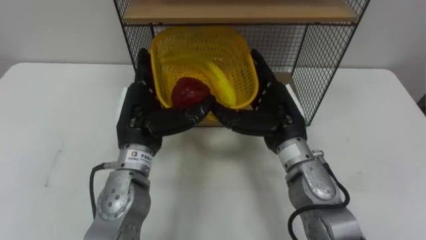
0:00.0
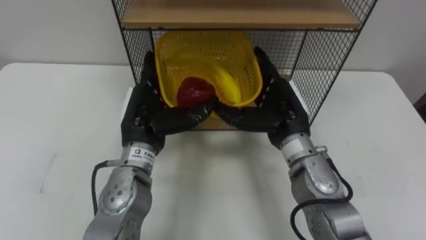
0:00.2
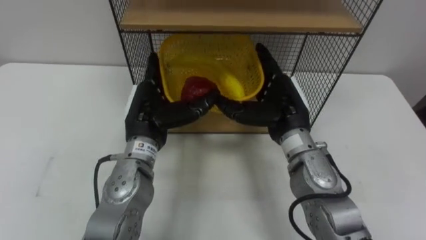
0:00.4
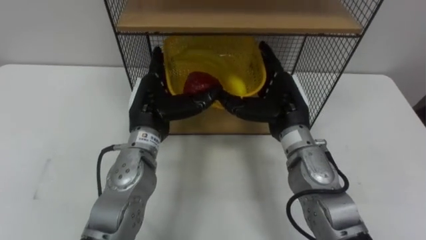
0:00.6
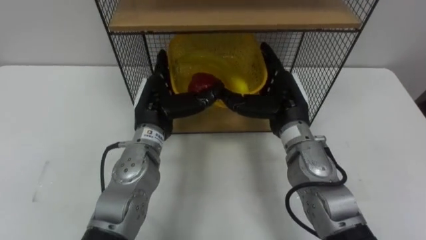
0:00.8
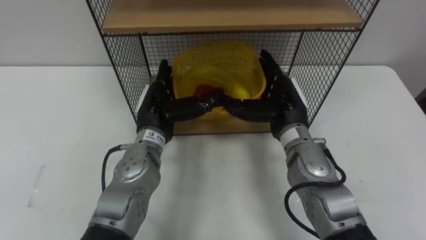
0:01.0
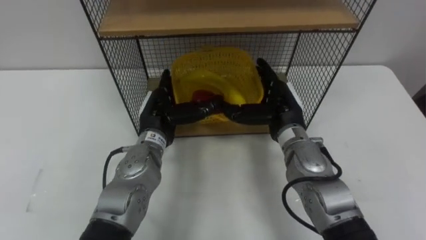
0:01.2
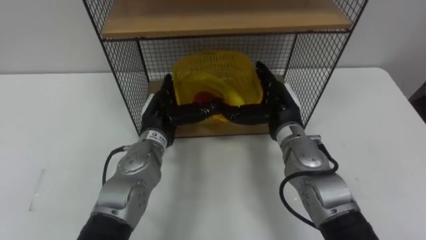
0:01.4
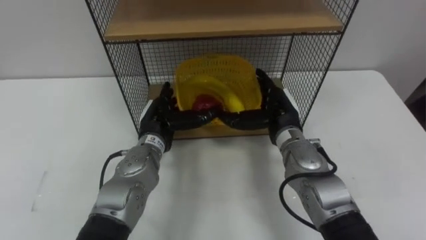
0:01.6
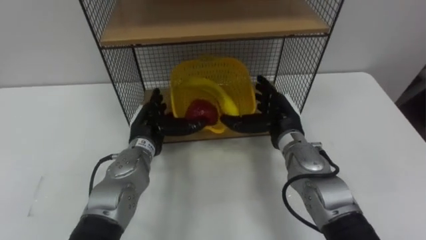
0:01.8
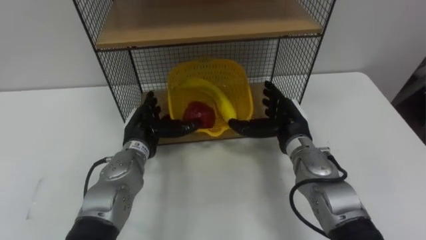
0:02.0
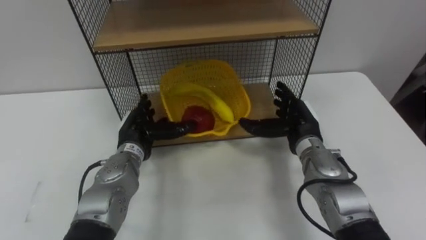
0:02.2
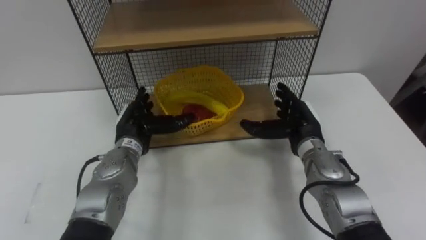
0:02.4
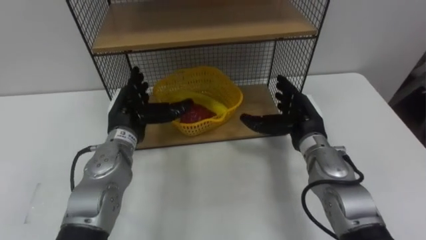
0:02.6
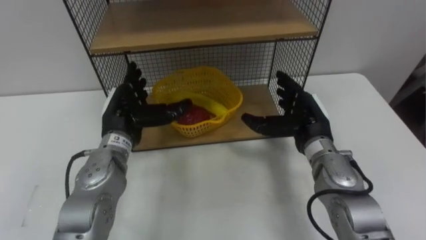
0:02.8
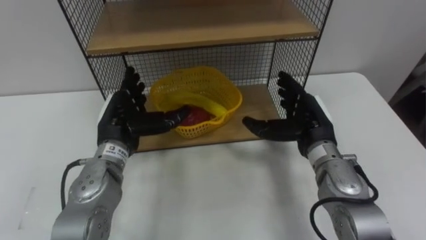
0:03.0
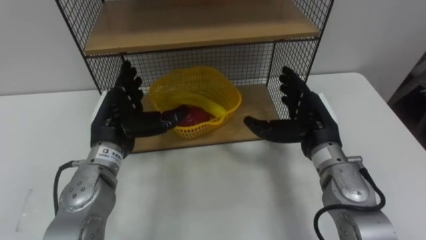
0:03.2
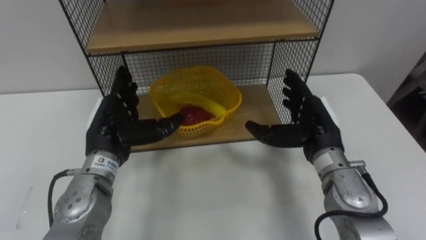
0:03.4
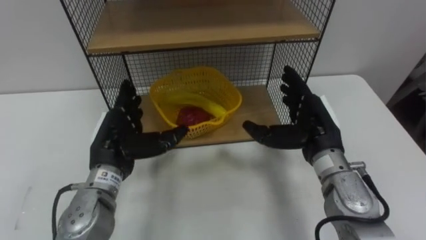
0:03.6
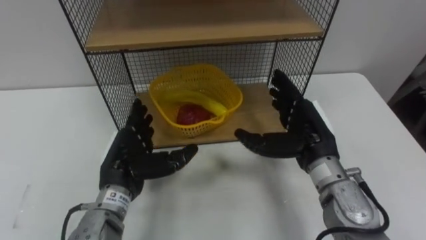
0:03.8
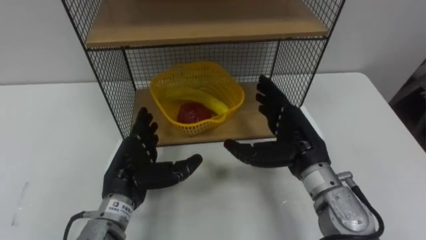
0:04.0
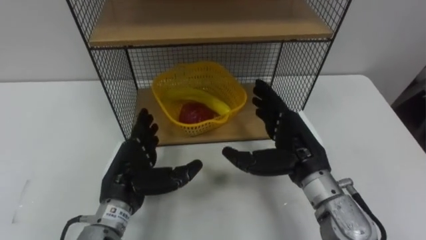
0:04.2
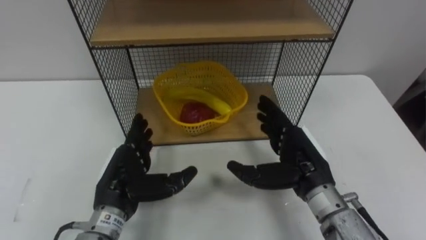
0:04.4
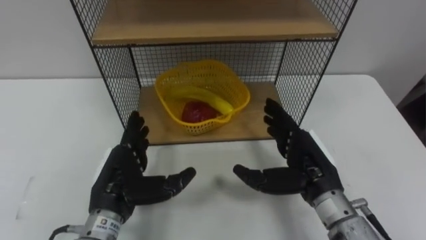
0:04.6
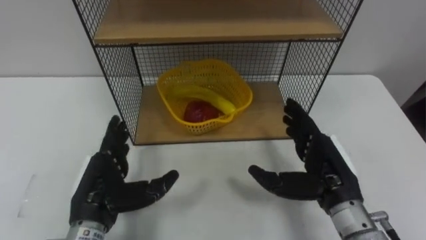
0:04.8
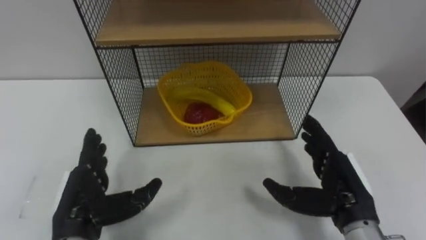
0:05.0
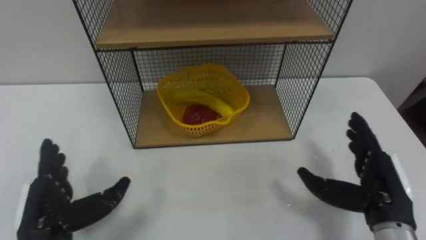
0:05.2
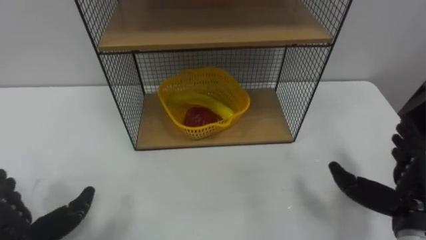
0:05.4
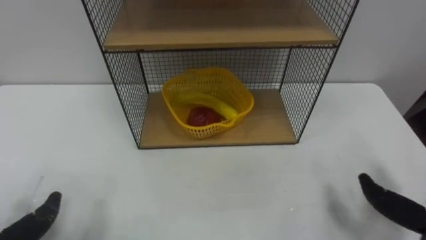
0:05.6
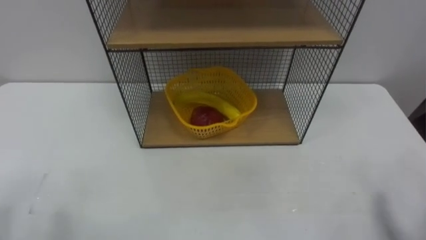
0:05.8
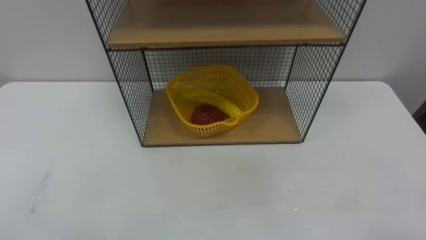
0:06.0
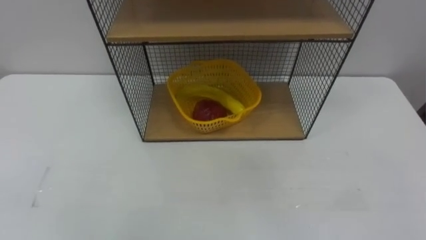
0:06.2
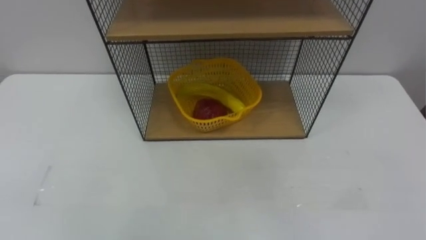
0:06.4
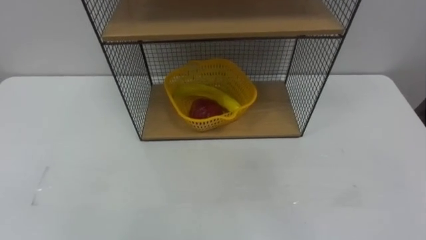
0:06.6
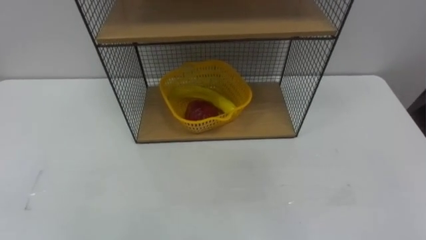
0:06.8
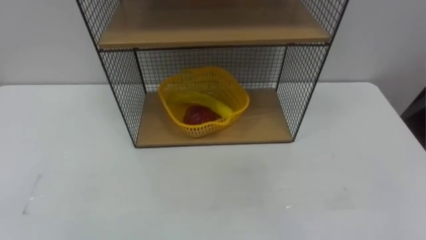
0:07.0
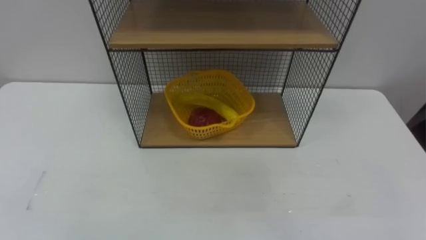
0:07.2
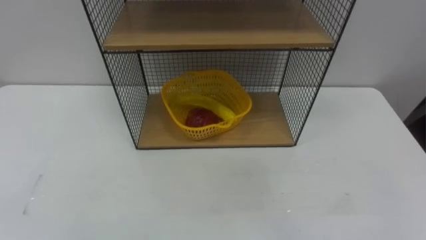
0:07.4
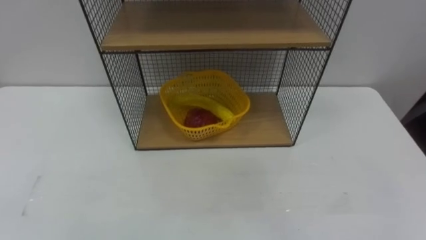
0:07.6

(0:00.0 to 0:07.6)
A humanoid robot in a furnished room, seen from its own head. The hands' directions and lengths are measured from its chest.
Task of the whole recording: Put the fruit on the table into the basket, then place the basket on the shelf.
0:00.0 - 0:01.6: The left hand is displaced downward by some 10 cm; the right hand ends up some 5 cm from where it was.
0:01.6 - 0:03.0: The right hand moves to the right, some 5 cm; the left hand travels to the left by about 5 cm.
0:03.0 - 0:04.6: The two hands go about 10 cm backward.

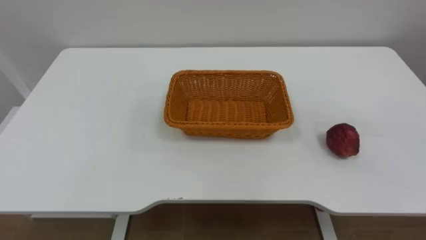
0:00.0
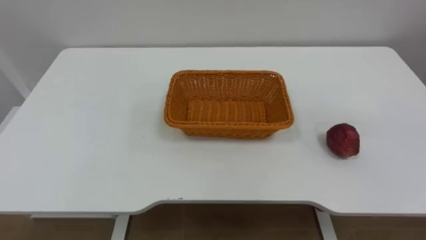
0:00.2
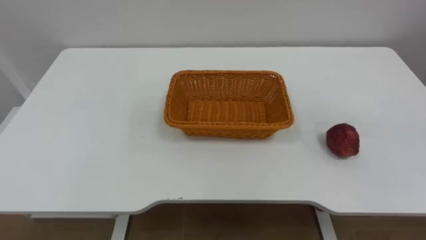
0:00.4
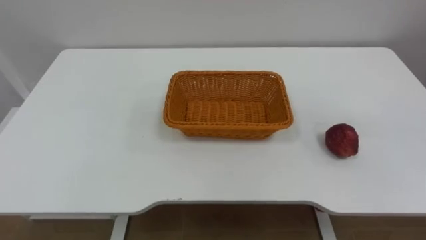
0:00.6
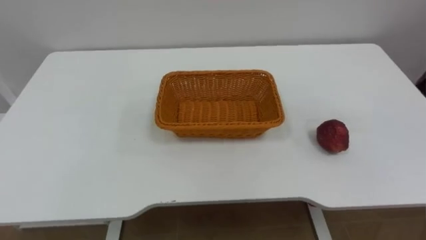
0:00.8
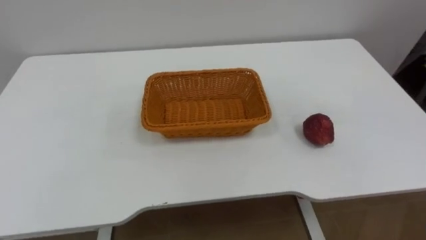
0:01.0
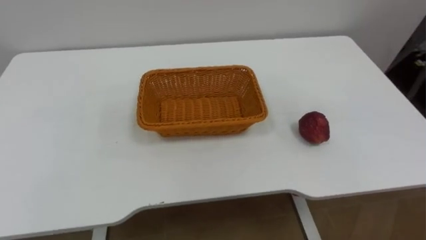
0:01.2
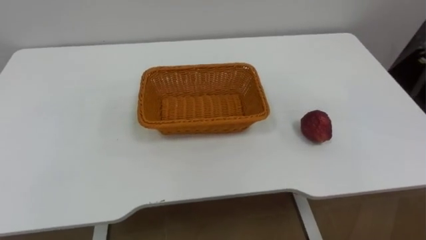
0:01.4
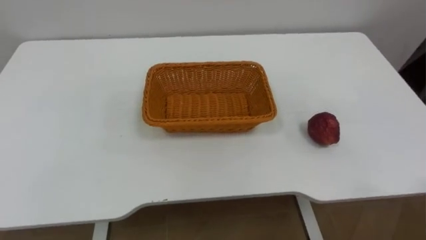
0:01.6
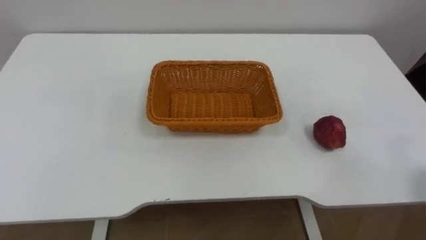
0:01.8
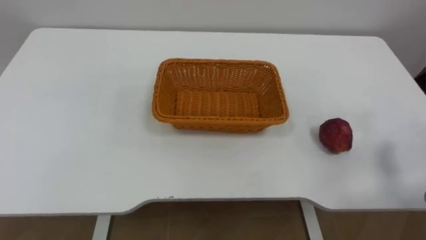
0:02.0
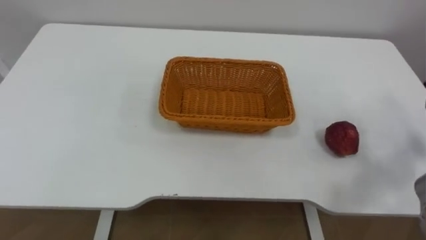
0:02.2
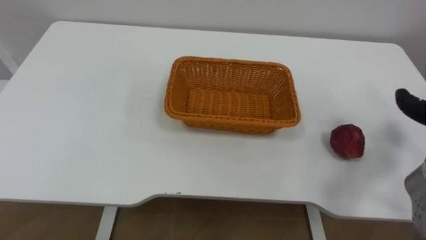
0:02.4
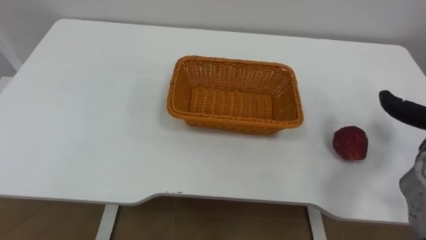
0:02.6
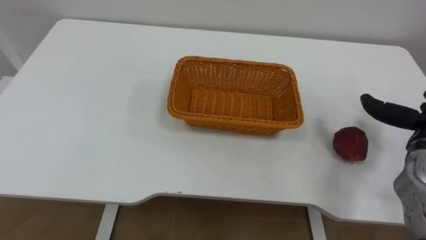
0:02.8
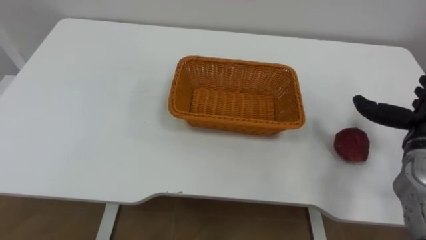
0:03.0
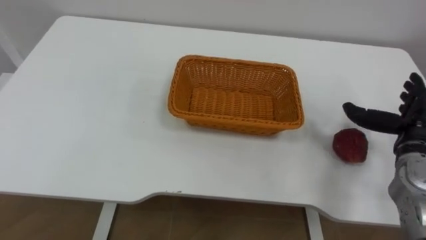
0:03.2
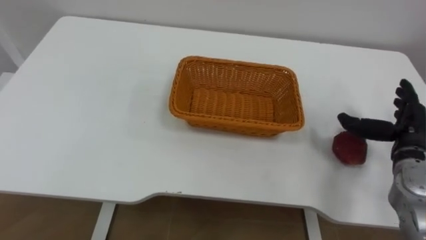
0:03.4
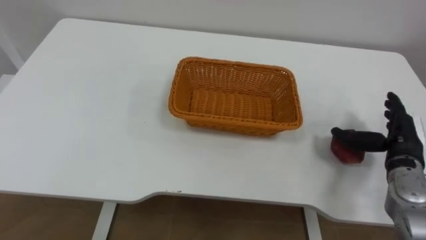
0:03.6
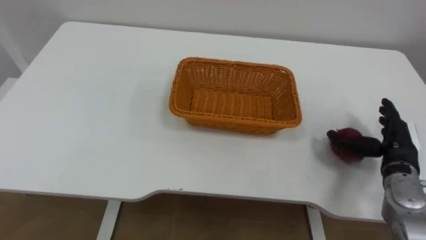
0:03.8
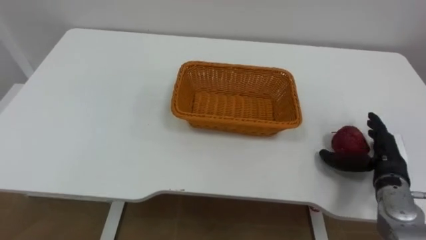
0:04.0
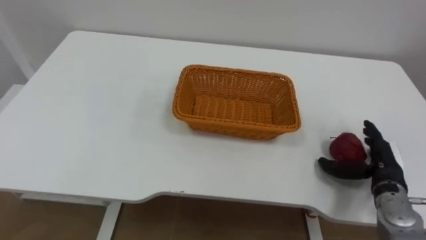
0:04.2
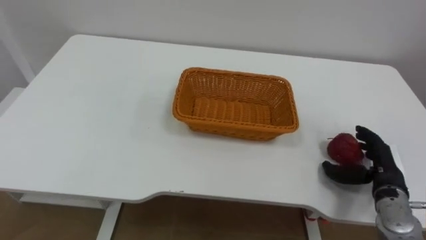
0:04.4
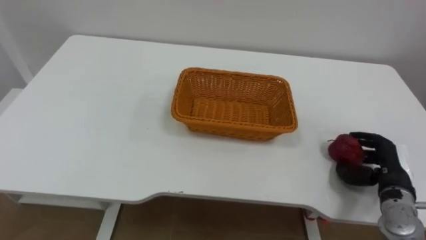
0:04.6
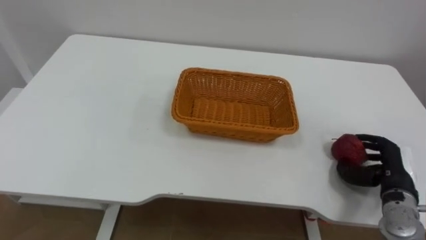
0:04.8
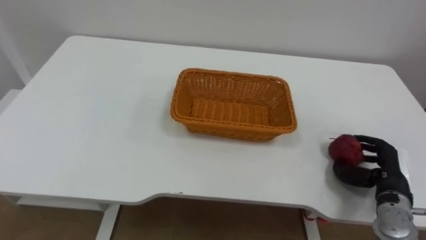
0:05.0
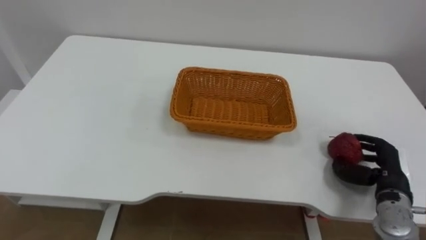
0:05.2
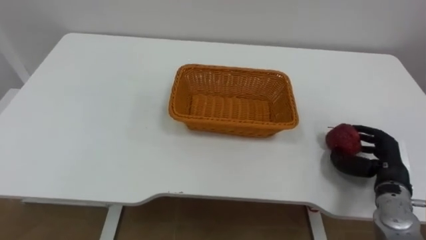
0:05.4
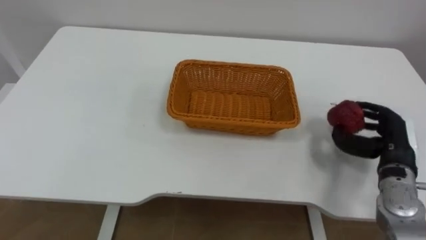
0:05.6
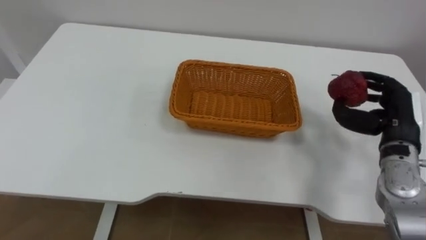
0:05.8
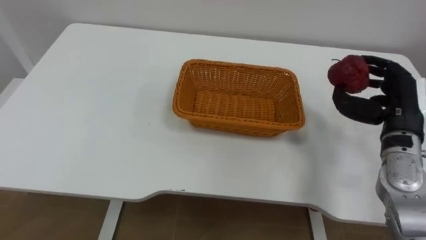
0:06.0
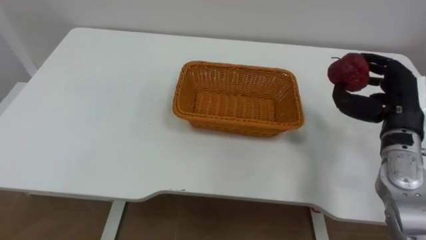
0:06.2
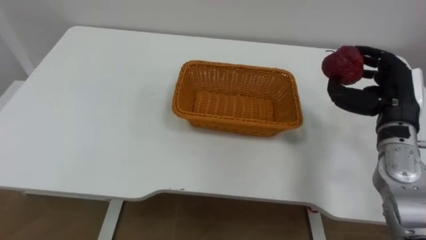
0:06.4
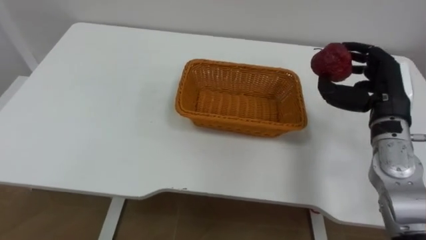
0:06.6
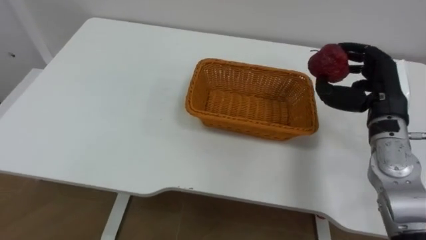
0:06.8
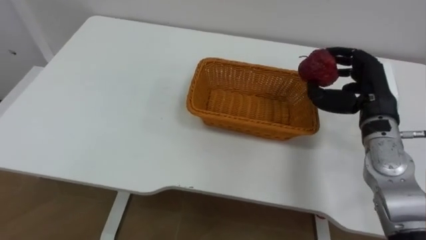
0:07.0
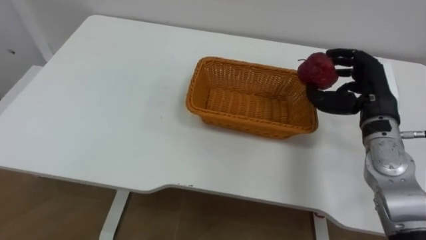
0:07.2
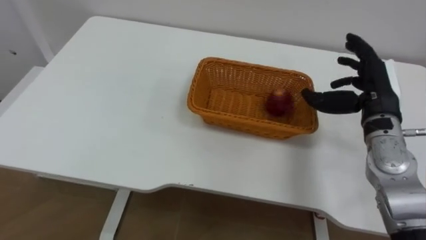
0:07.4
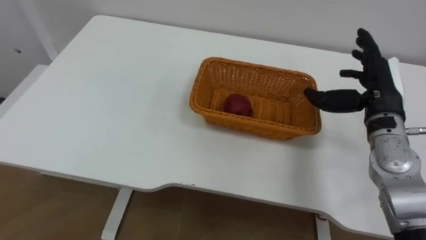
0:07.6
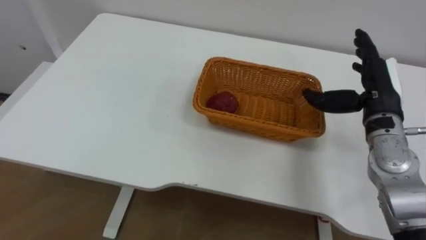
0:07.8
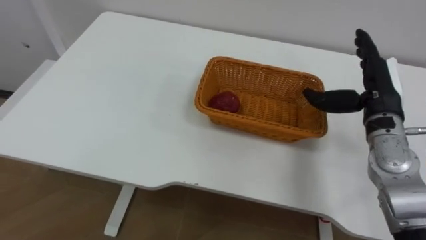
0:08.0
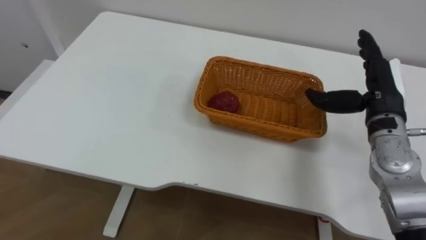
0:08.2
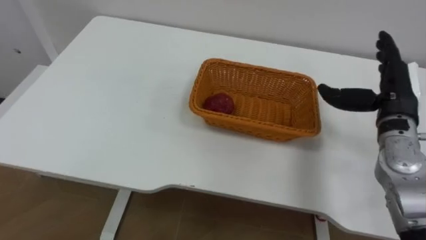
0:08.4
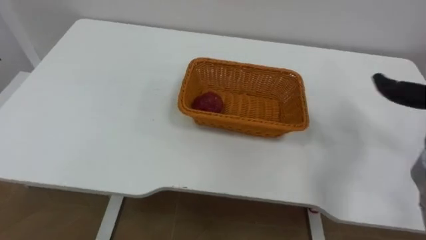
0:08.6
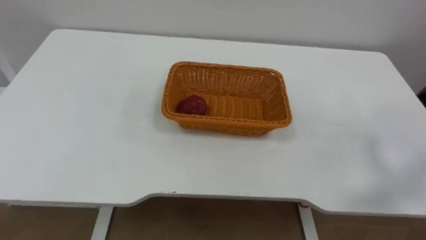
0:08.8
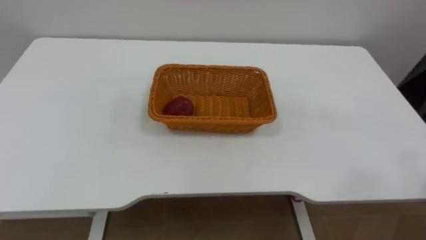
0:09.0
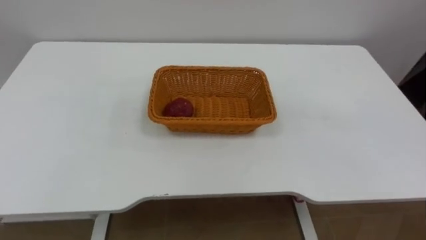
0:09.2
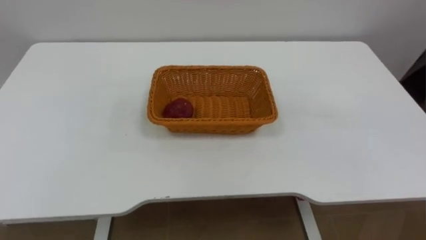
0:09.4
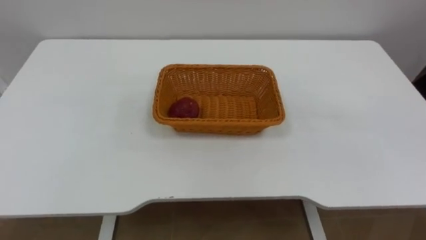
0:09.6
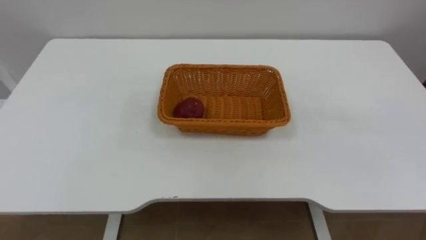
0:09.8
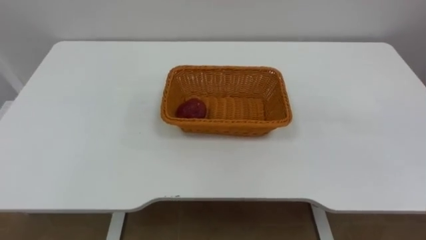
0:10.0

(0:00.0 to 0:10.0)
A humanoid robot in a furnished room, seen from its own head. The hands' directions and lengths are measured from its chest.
Task of the whole recording: Pick the apple and place it in the box.
0:04.2 - 0:05.8: The right hand heads upward, covering about 10 cm, and closes.
0:05.8 - 0:07.2: The right hand changes place by approximately 5 cm.
